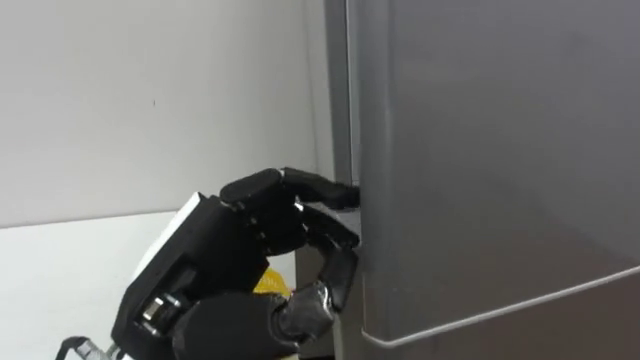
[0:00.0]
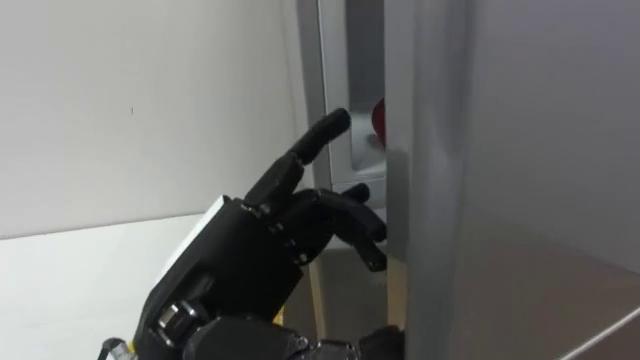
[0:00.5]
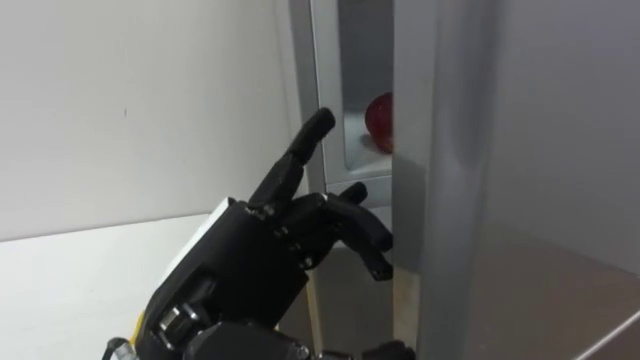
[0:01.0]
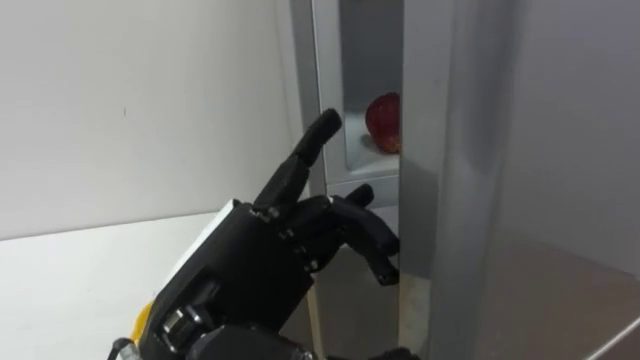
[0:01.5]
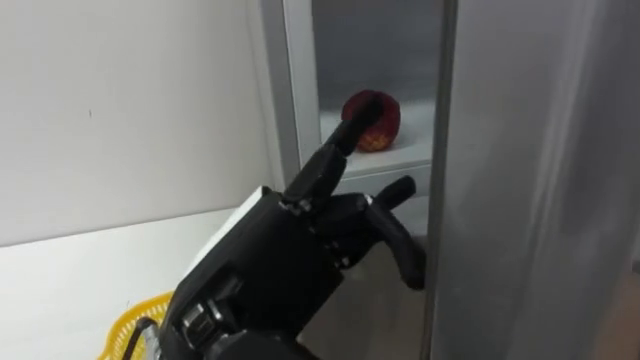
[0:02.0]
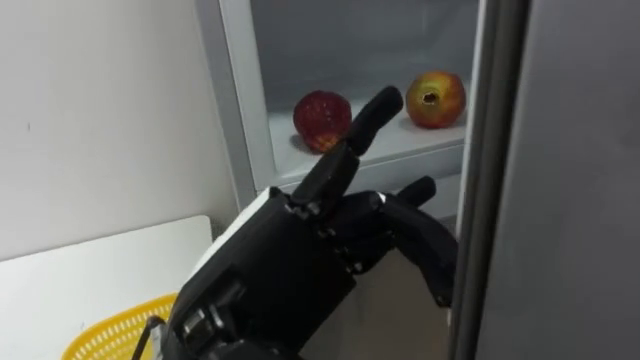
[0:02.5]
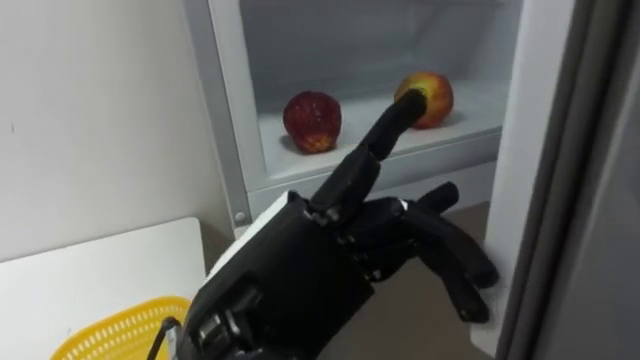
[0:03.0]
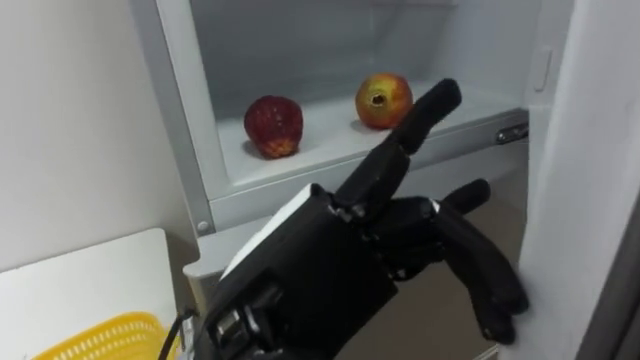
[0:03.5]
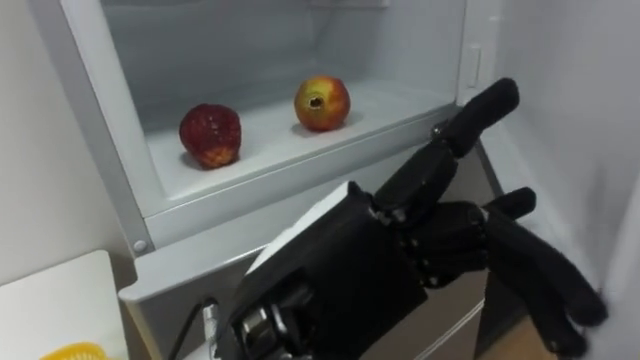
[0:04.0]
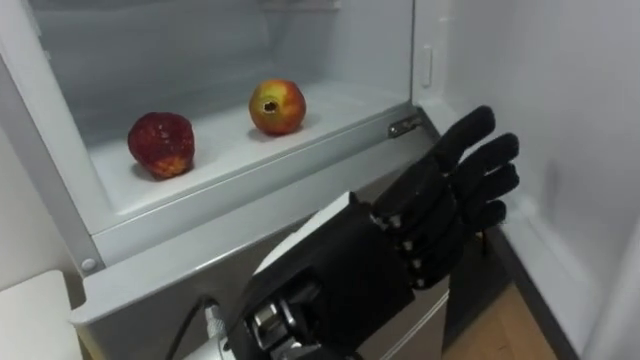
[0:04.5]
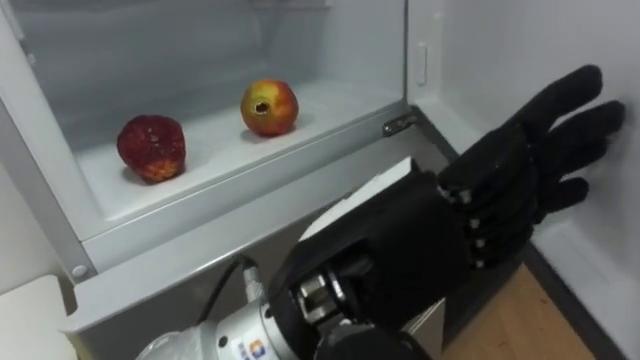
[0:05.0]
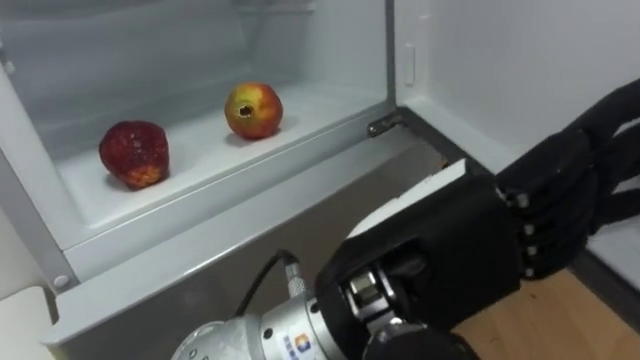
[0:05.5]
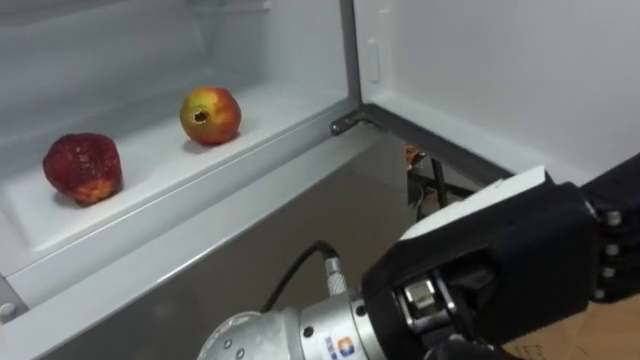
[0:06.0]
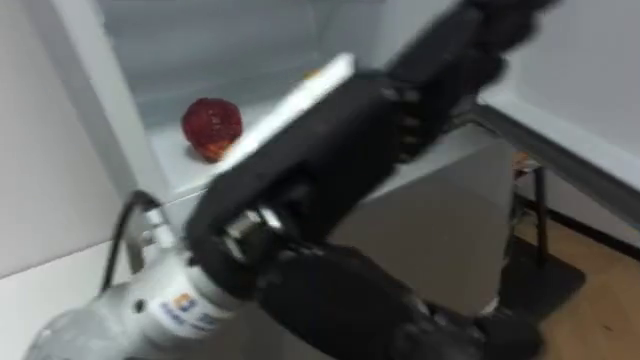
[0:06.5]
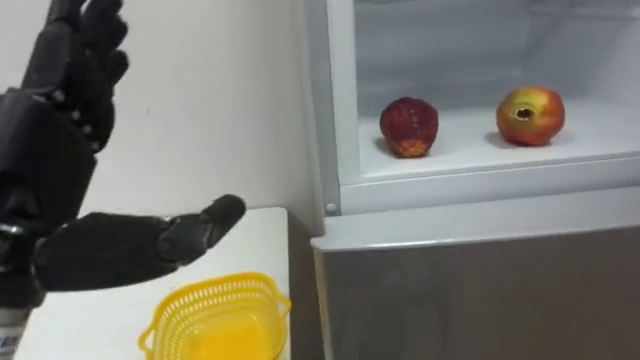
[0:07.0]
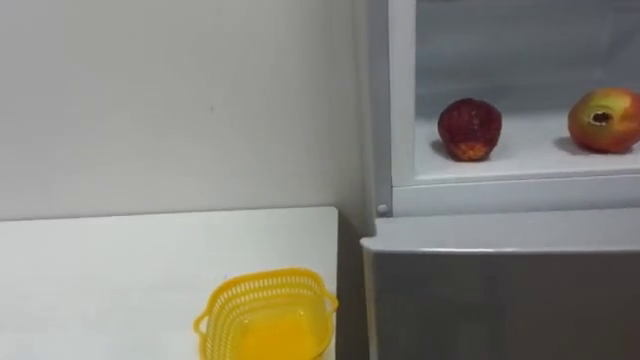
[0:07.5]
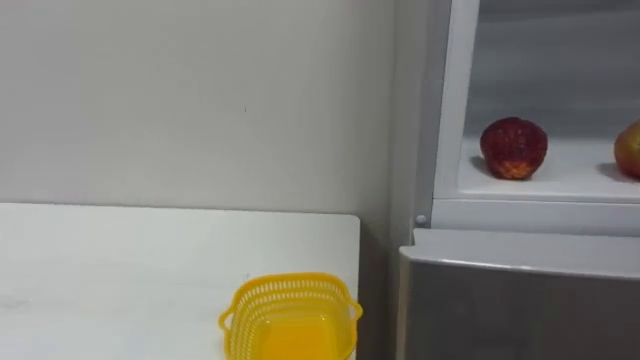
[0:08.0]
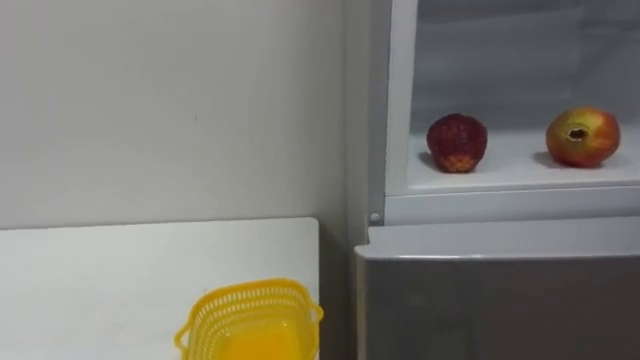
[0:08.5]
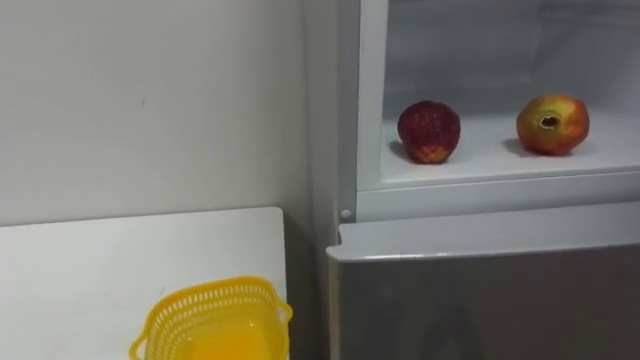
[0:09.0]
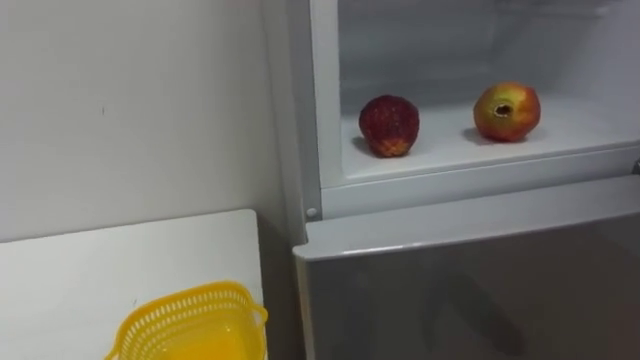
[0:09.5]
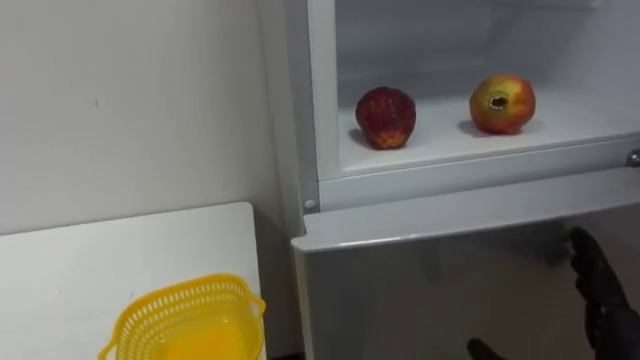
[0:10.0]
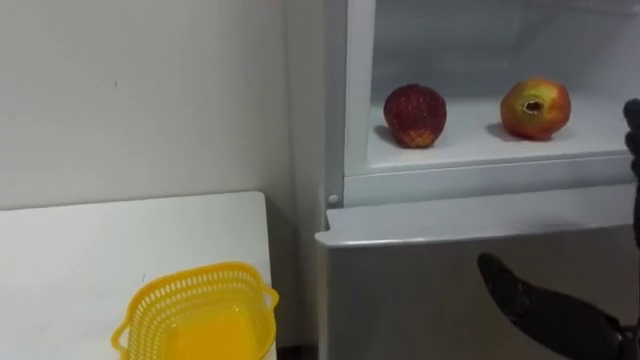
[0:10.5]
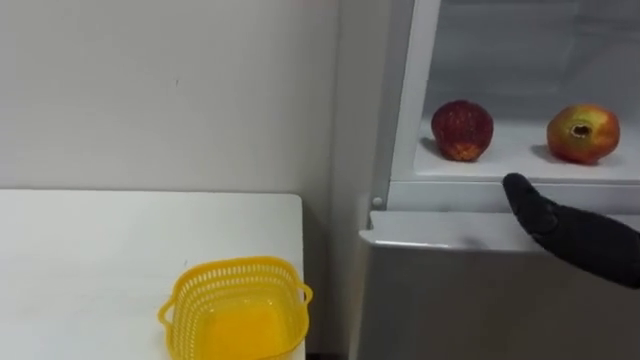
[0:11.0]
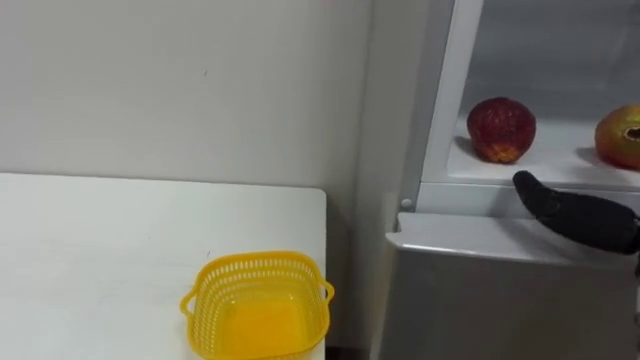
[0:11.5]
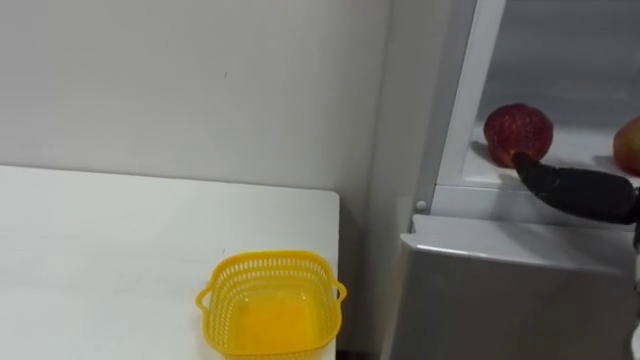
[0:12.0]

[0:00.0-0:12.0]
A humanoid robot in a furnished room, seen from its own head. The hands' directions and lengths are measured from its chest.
Task of the whole recording: Open the refrigerator door, take out the apple and the pomegranate, place them in the fruit basket on the left, and close the refrigerator door.
0:00.0 to 0:02.0: The left hand ends up some 5 cm from where it was, and opens up.
0:02.0 to 0:04.0: The left hand ends up roughly 5 cm from where it was.
0:04.0 to 0:06.0: The left hand travels to the right by some 10 cm.

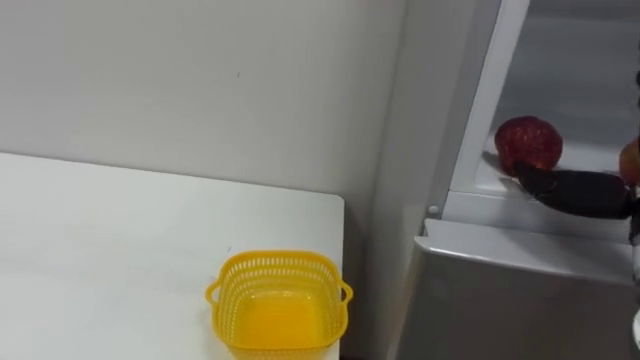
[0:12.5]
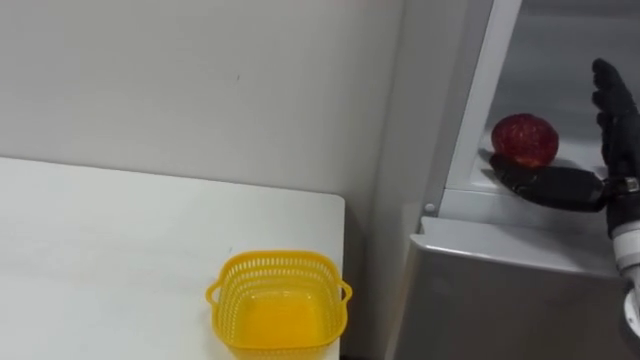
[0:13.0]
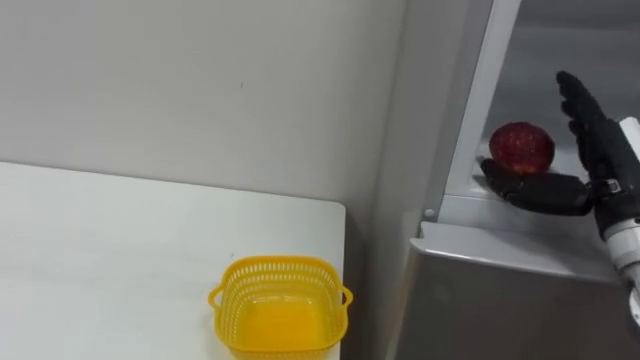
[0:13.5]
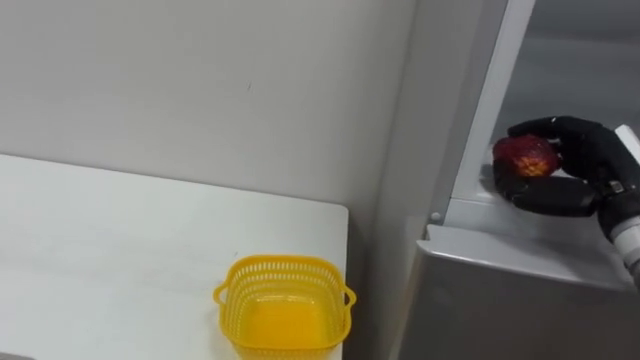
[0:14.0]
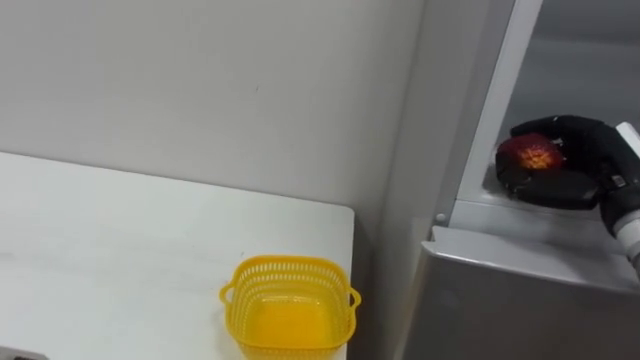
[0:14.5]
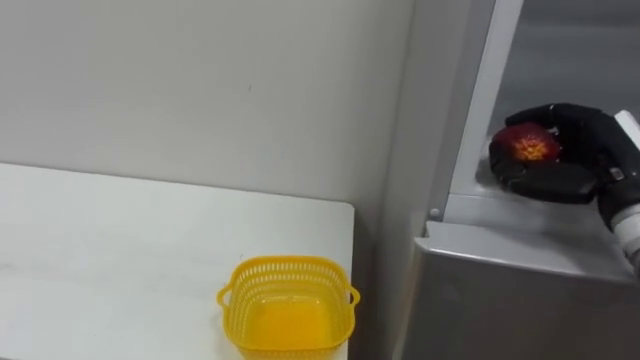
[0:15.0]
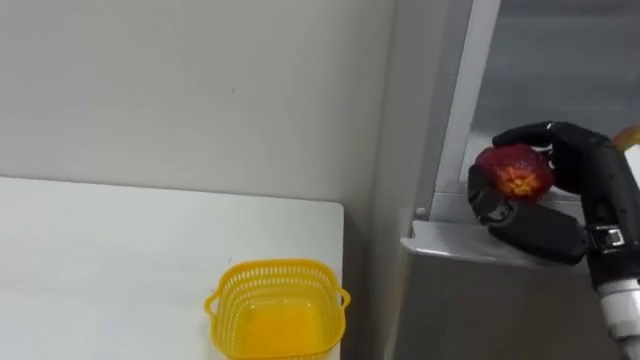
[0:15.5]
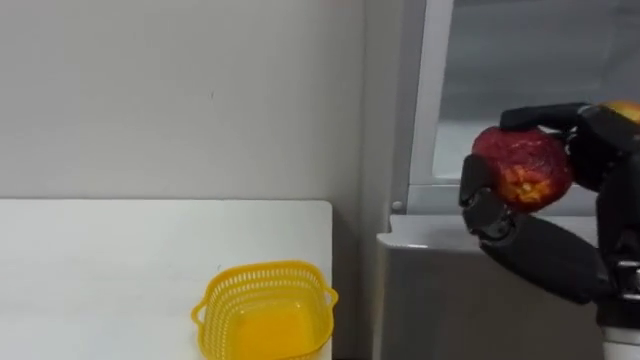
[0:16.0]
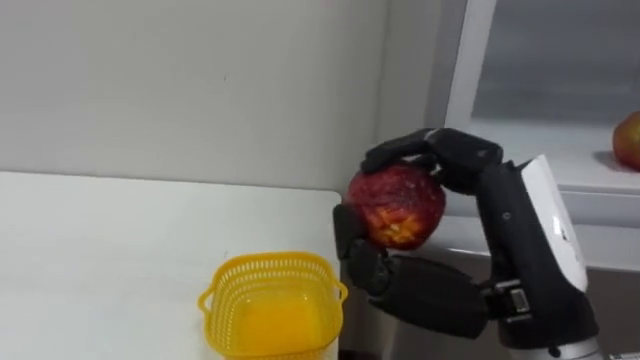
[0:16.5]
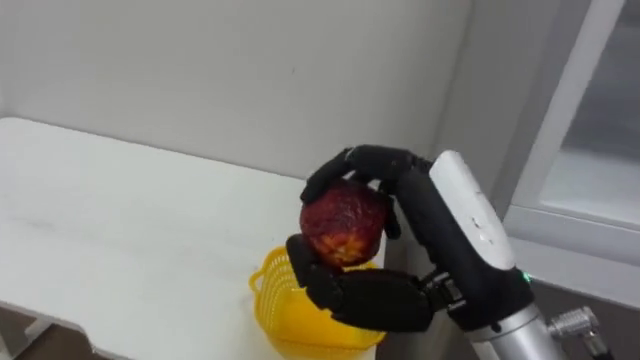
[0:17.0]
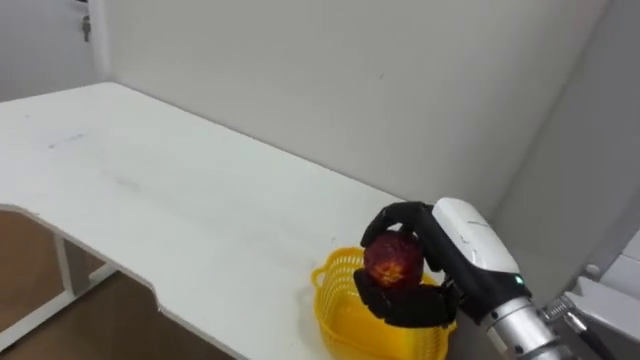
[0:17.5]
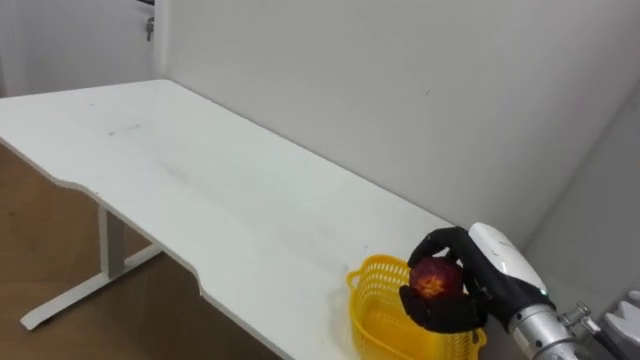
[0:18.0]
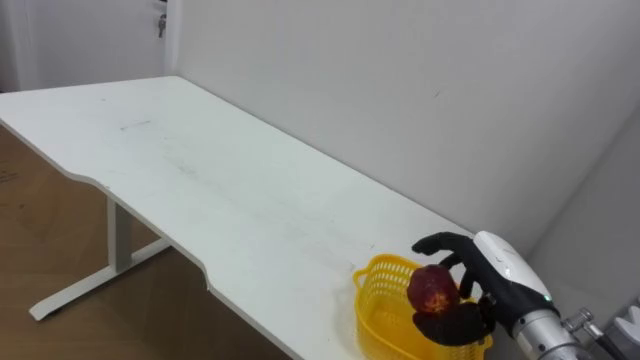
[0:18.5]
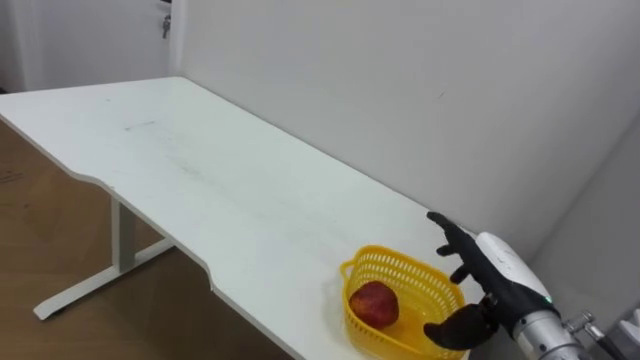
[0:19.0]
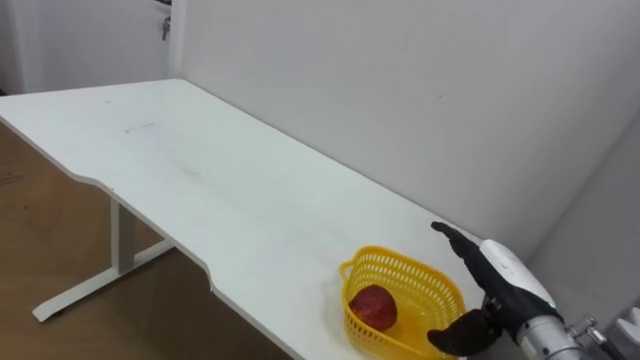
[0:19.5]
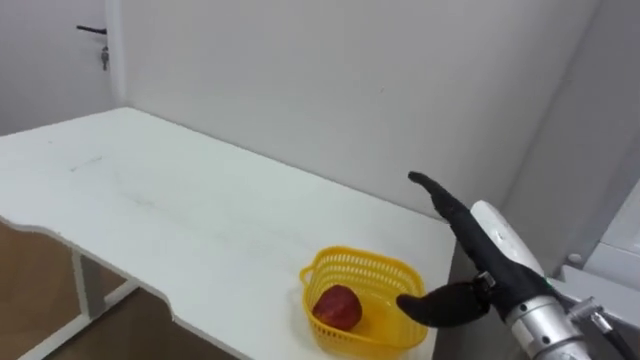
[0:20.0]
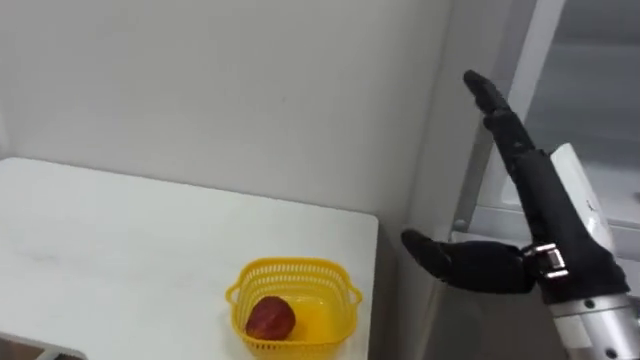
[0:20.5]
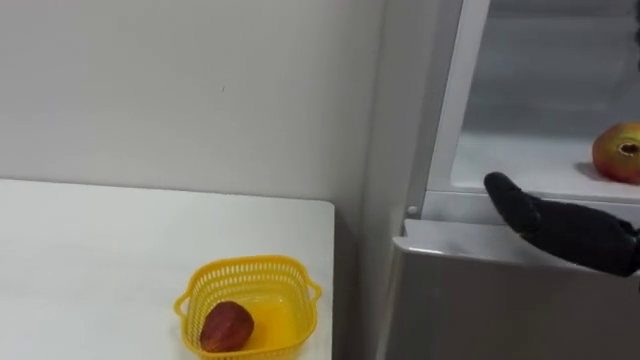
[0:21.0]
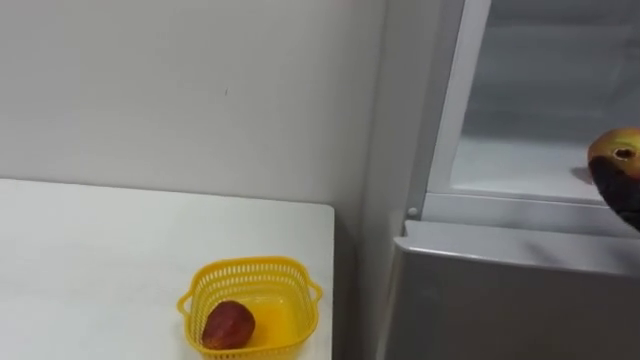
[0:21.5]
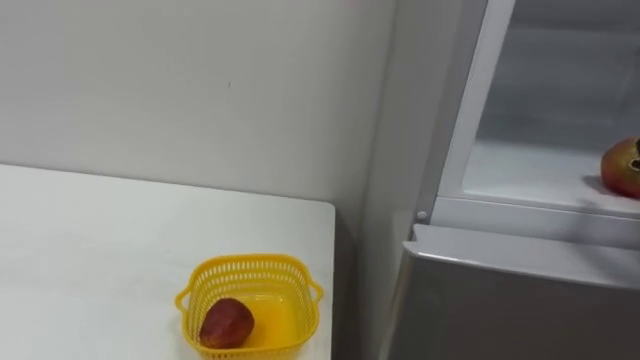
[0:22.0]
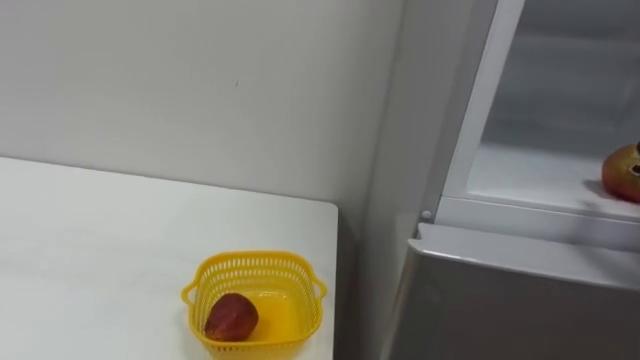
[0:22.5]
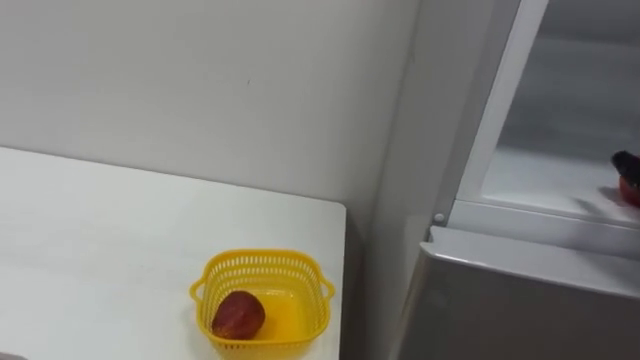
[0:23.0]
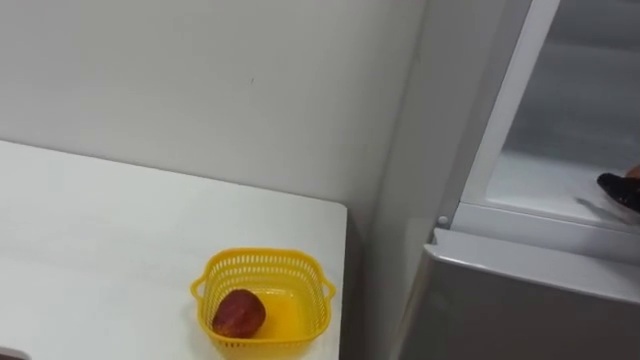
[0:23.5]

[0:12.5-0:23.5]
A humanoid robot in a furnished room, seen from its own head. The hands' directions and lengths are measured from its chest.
Task of the whole recording: Open the refrigerator door, take out the apple and the pomegranate, place them in the fruit basket on the left, and close the refrigerator door.
0:14.5 to 0:16.0: The right hand moves backward and to the left, roughly 15 cm.
0:16.0 to 0:18.0: The right hand is displaced downward and forward by approximately 20 cm.
0:18.0 to 0:20.0: The right hand opens.
